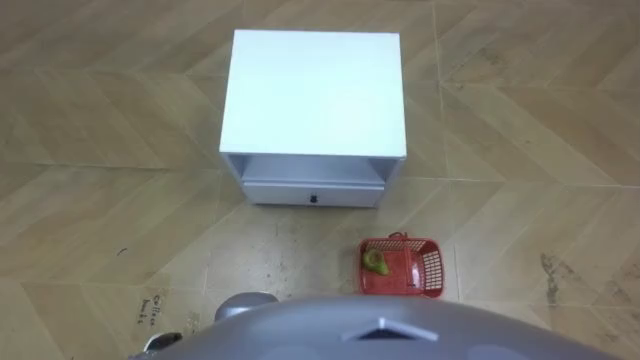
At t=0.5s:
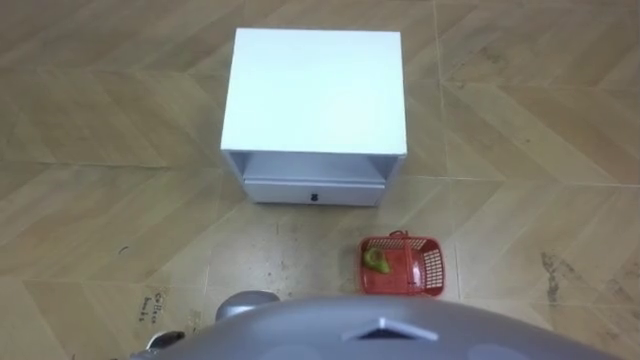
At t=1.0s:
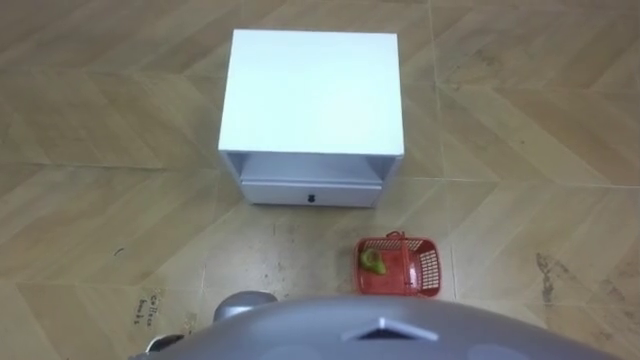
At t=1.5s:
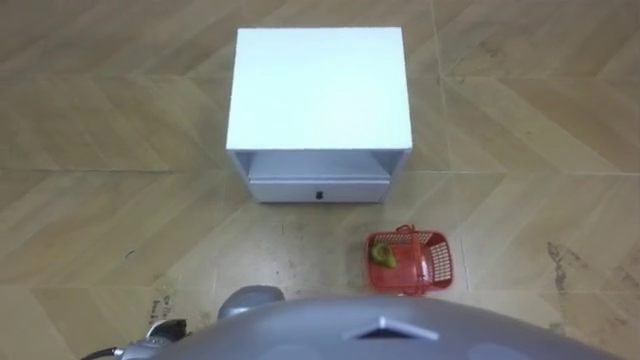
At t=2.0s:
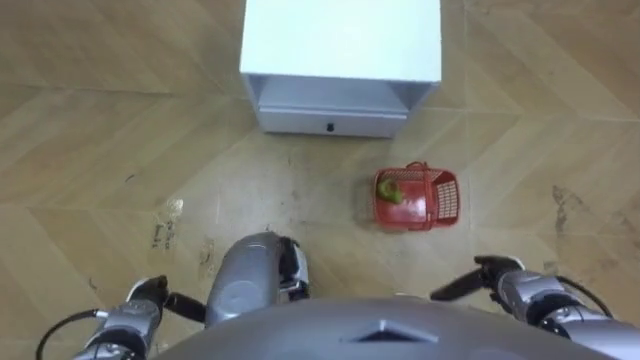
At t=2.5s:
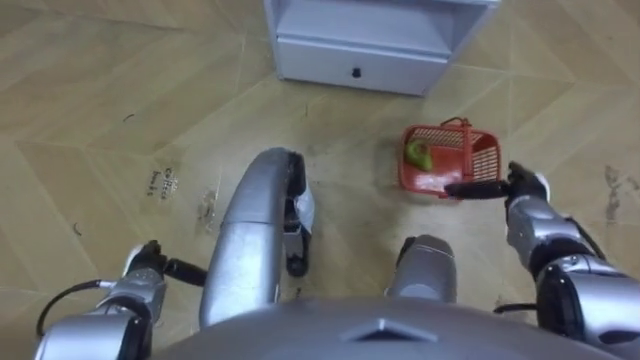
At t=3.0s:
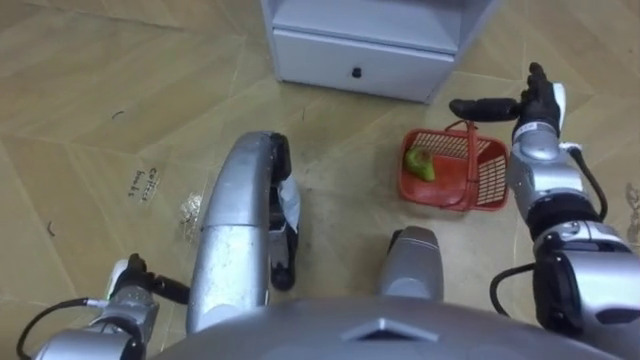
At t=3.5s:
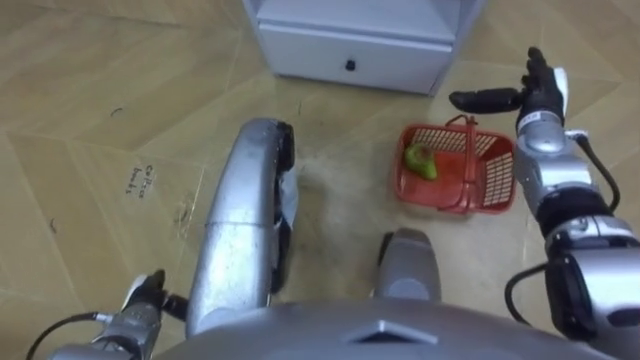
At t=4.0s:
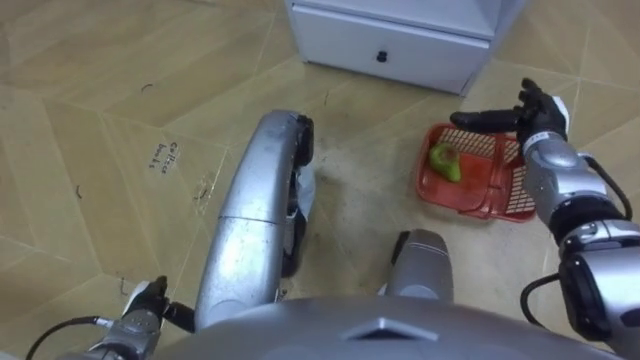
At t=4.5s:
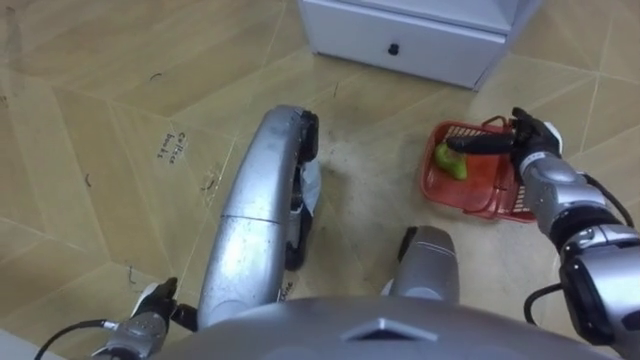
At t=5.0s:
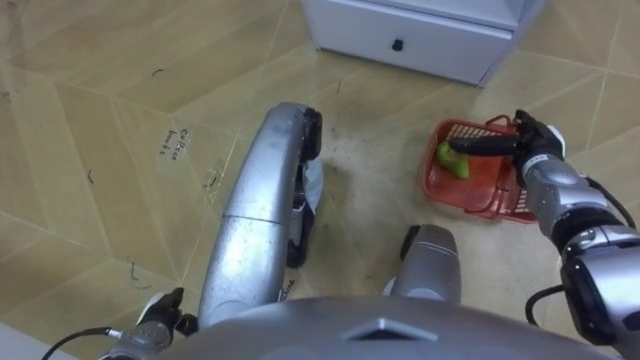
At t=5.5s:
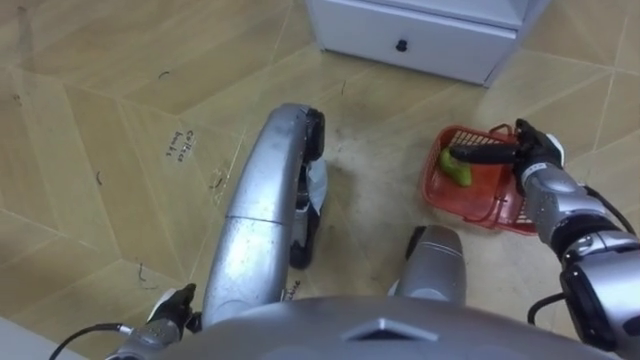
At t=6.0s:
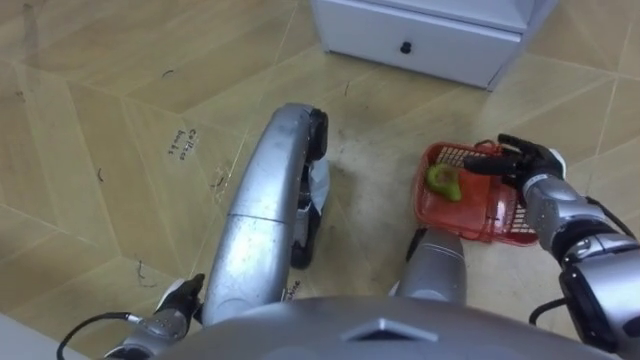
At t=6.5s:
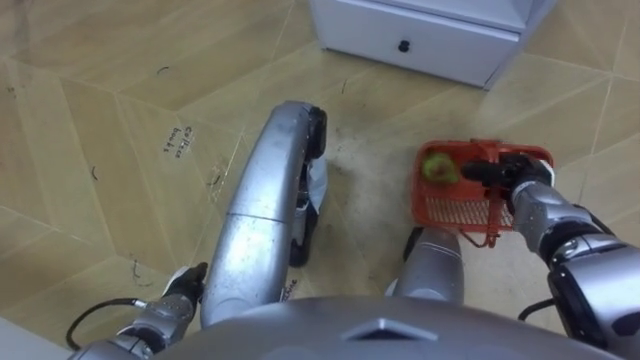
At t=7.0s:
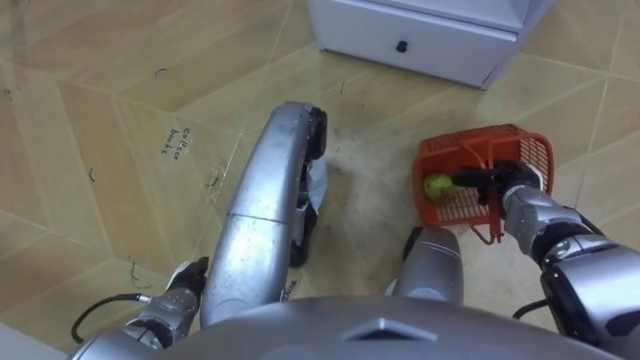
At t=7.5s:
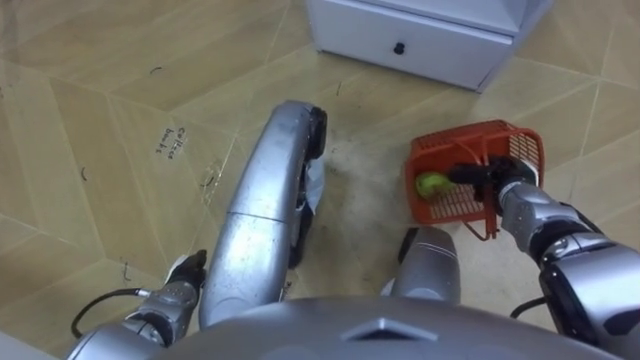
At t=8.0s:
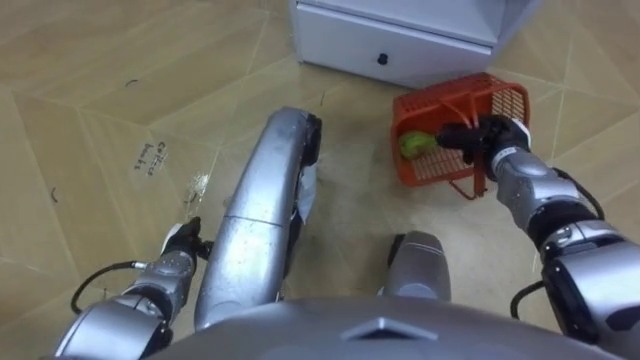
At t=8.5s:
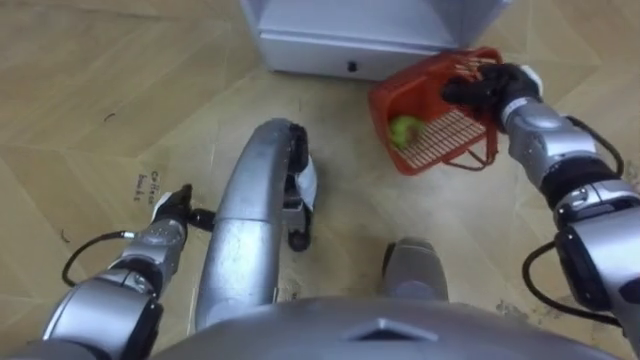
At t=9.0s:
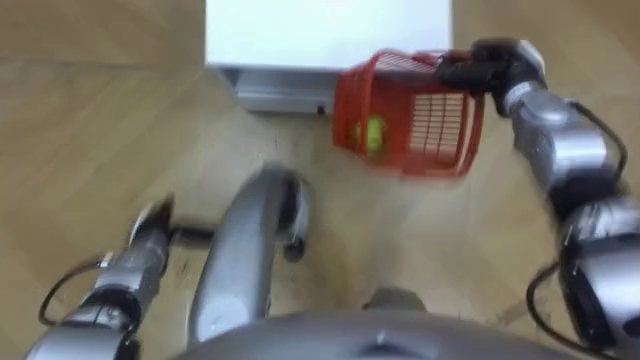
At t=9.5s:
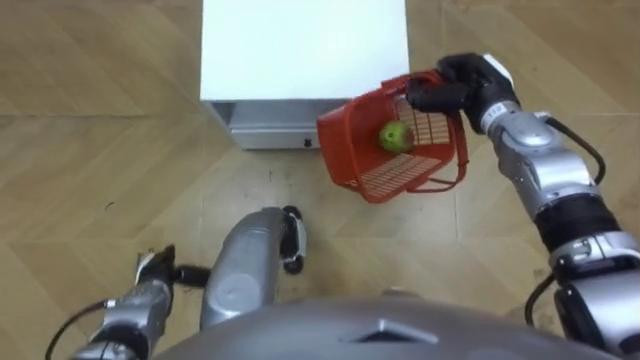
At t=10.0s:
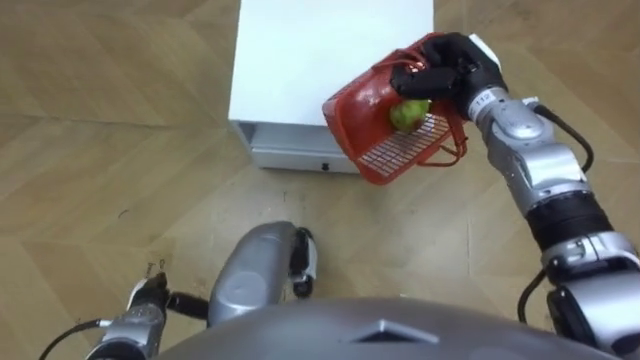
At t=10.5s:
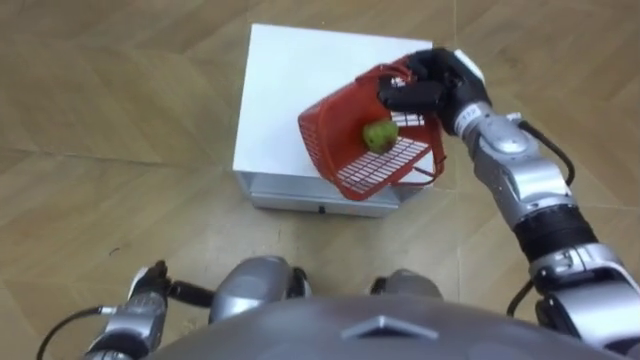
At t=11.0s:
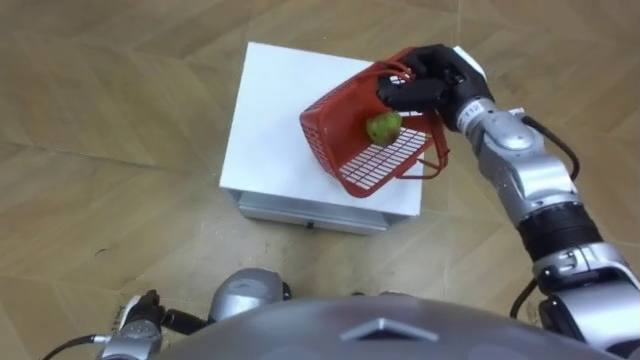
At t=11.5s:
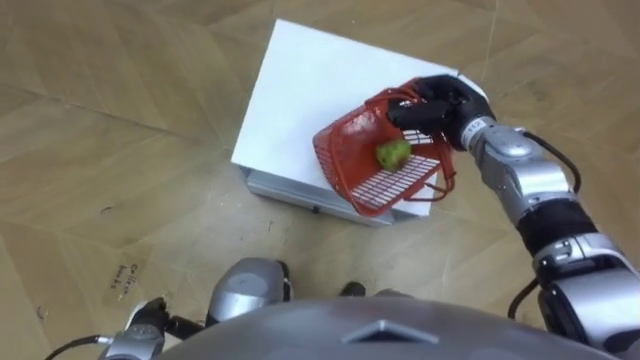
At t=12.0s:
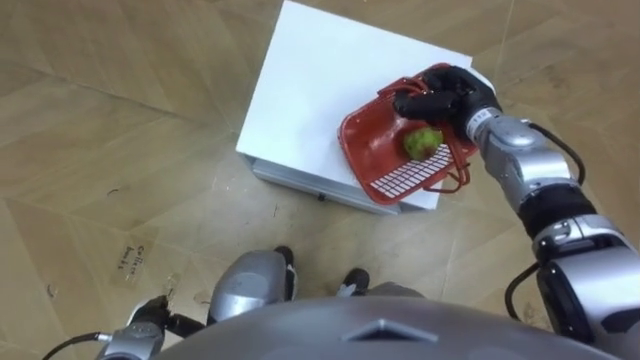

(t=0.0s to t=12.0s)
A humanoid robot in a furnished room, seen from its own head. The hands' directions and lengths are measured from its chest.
Task of the whole recording: Pick up the fruit basket from the floor and place it on the cabinet.
t=2.0s - t=4.0s: The robot faces about 15 degrees further to its left. The right hand goes roughly 25 cm forward and upward.
t=4.0s - t=6.0s: The right hand goes some 5 cm backward.
t=6.0s - t=8.0s: The right hand shifts some 5 cm to the left, and closes; the left hand is displaced forward by about 10 cm.
t=8.0s - t=10.0s: The robot rotates roughly 15 degrees to its right. The right hand shifts some 15 cm upward, to the left and forward. Meanwhile the left hand moves backward, approximately 10 cm.
t=10.0s - t=12.0s: The right hand shifts roughly 5 cm downward.

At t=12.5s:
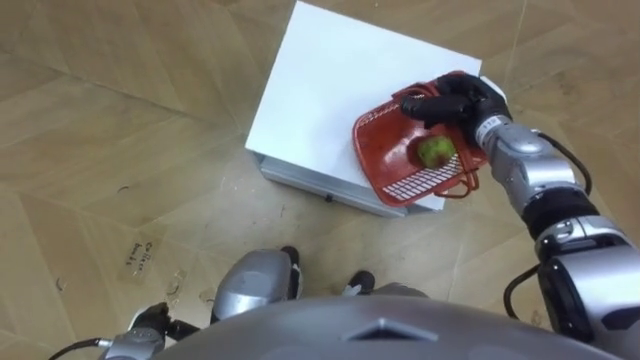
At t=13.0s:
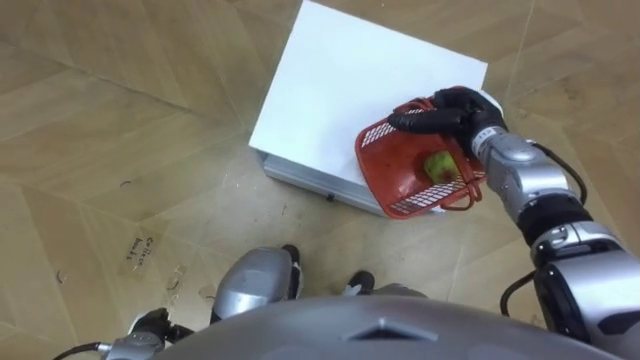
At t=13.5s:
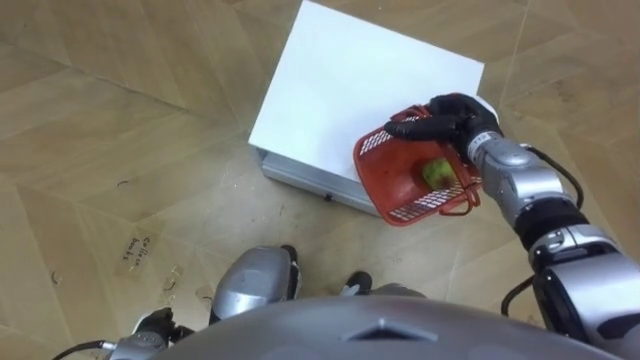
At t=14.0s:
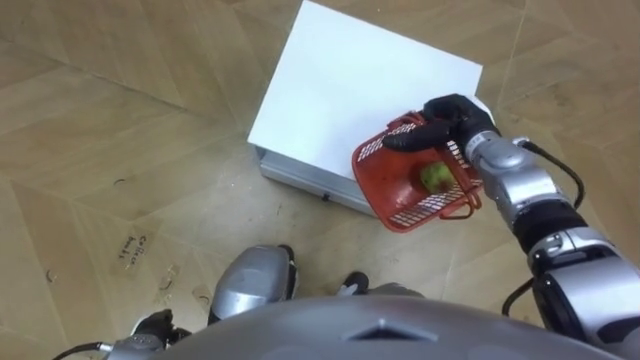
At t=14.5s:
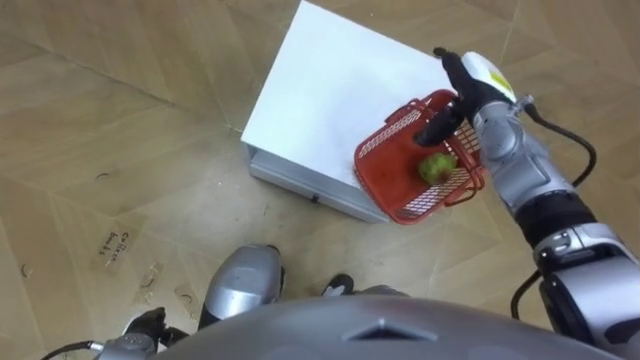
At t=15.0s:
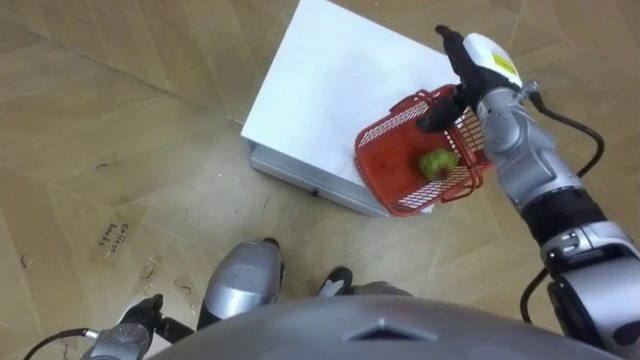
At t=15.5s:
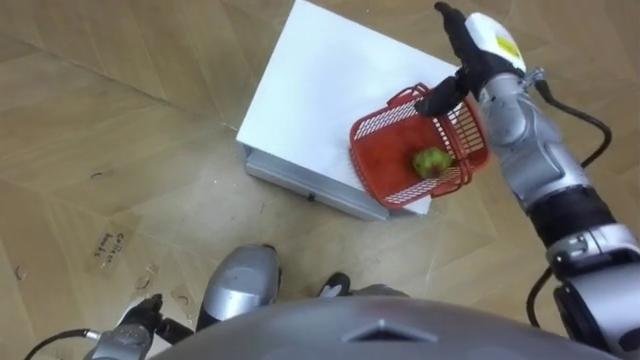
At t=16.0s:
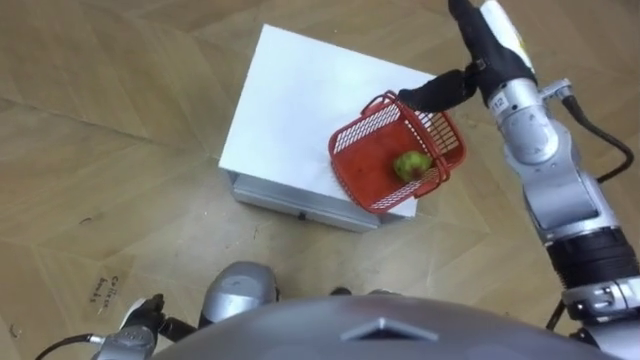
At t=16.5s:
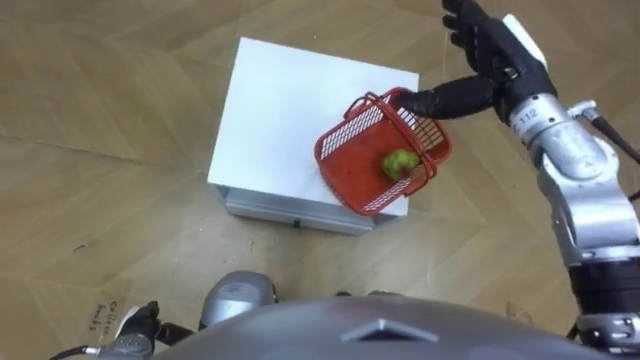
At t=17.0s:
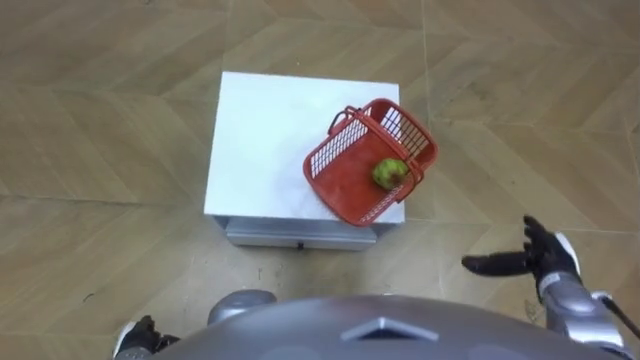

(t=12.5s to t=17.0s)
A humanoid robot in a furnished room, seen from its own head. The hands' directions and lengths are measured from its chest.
Task of the whole recording: Pick up the fruit basket from the floor and place it on the cabinet.
t=12.5s - t=14.5s: The right hand opens.
t=14.5s - t=17.0s: The right hand travels backward, to the right and downward by approximately 25 cm.

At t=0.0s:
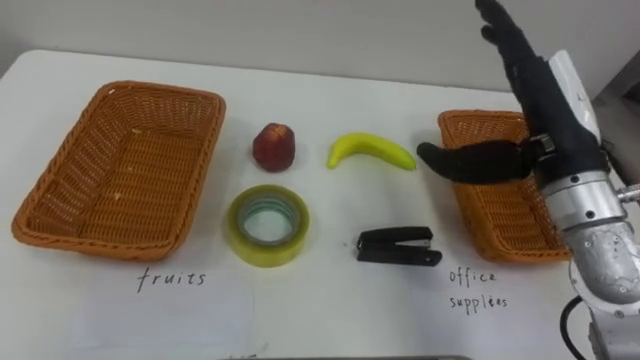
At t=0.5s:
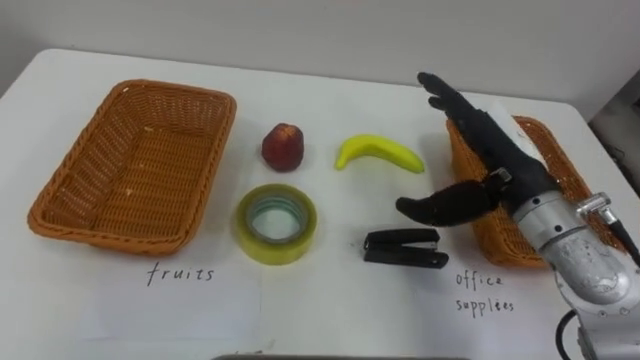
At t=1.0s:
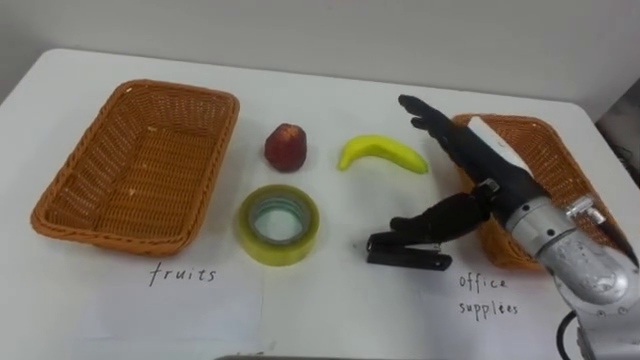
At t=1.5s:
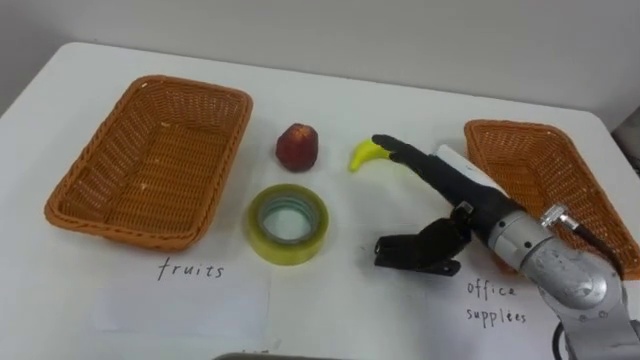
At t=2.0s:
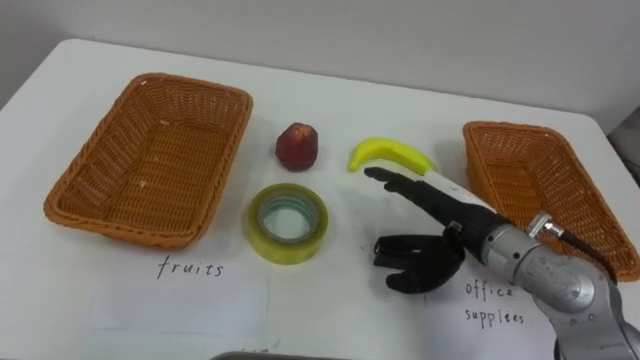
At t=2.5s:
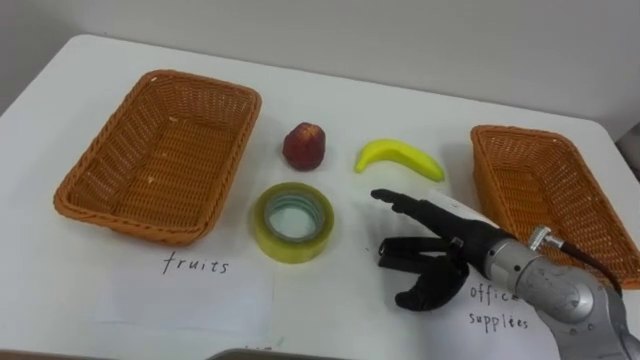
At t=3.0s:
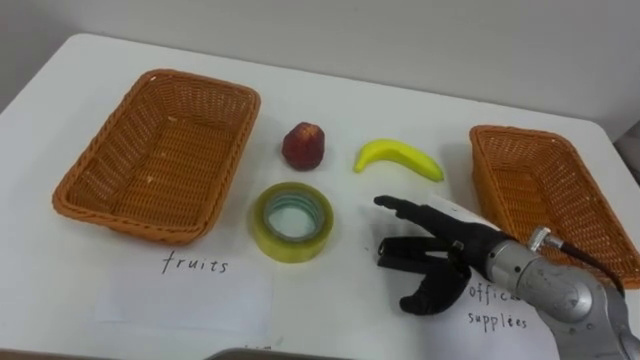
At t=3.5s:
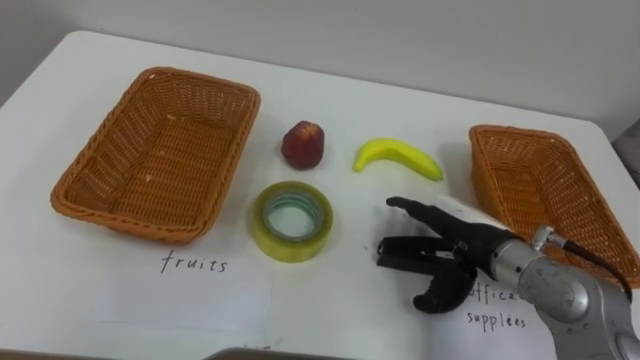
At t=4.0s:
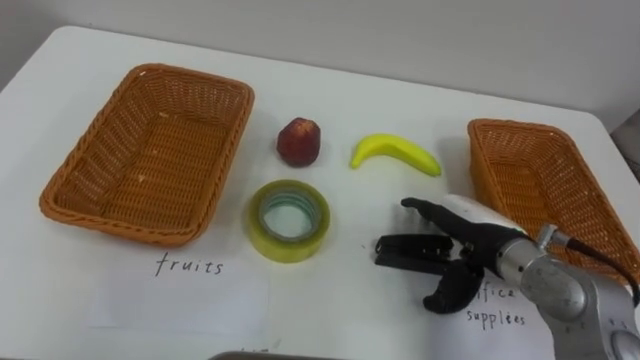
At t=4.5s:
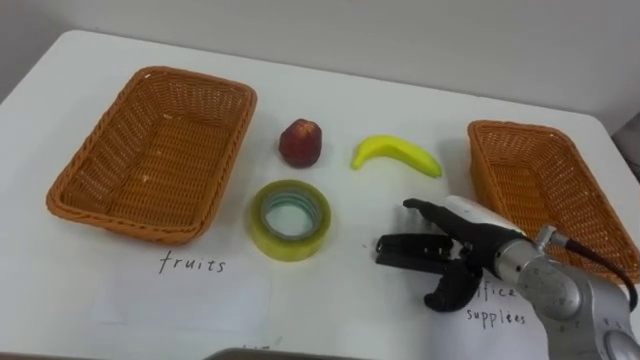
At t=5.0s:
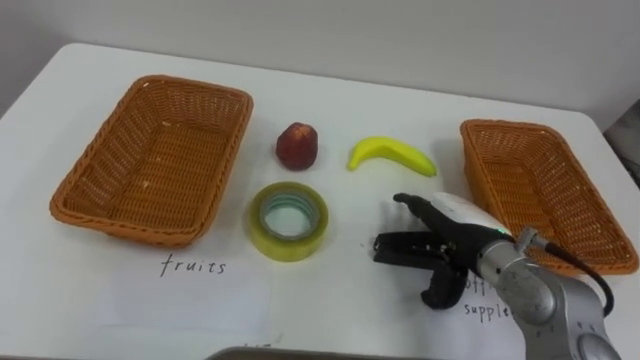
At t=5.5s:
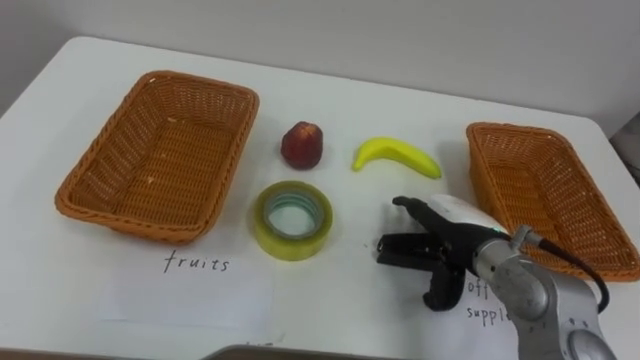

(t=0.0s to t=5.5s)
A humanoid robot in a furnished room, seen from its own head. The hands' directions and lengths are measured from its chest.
Task of the whole recording: Separate the items on the table and place them into the two baskets.
t=0.0s - t=2.0s: The right hand heads downward and to the left, covering about 15 cm.
